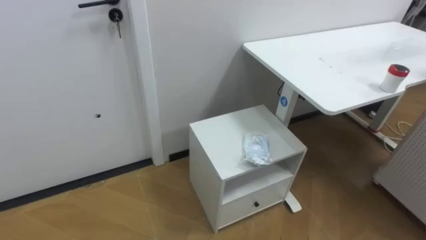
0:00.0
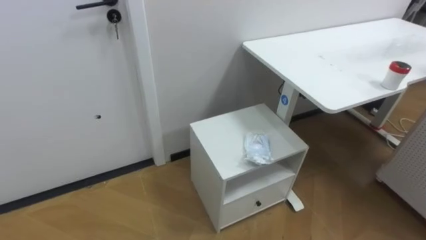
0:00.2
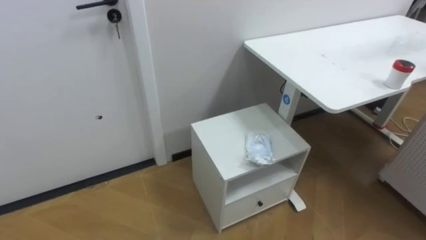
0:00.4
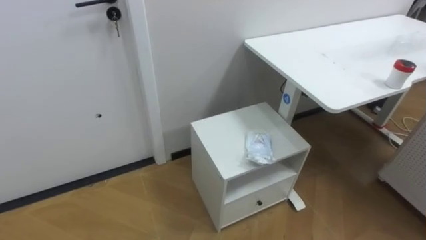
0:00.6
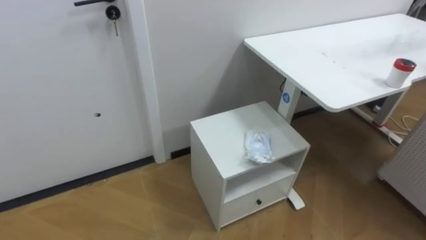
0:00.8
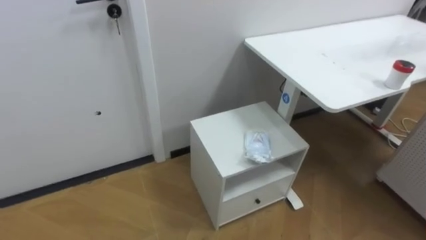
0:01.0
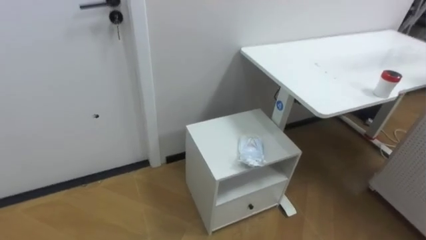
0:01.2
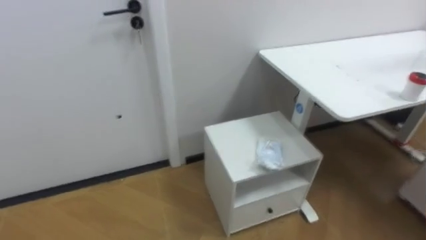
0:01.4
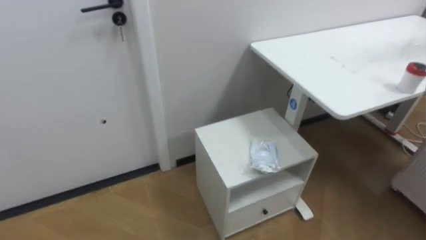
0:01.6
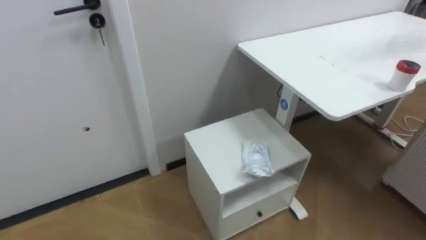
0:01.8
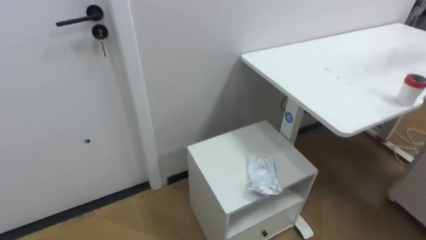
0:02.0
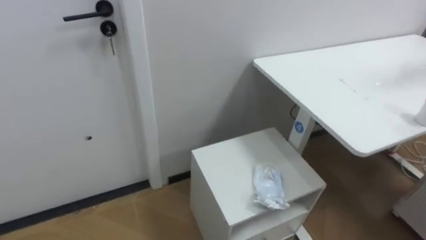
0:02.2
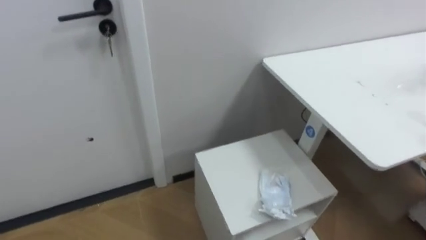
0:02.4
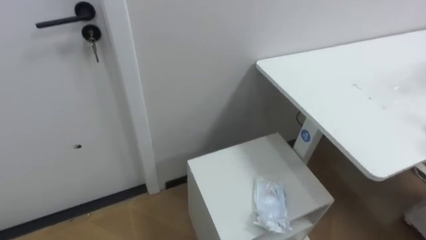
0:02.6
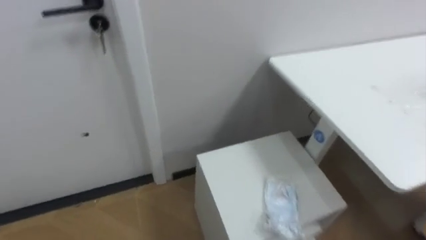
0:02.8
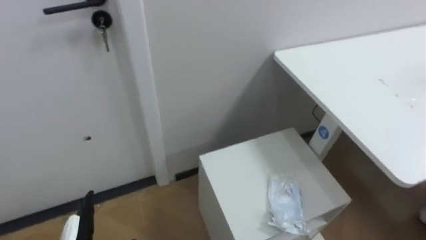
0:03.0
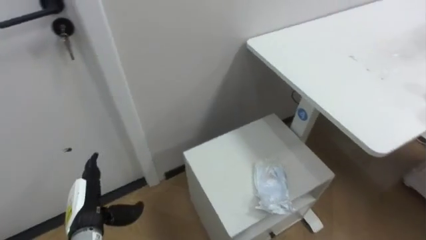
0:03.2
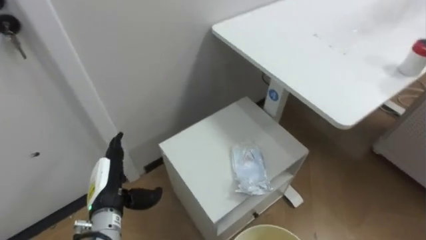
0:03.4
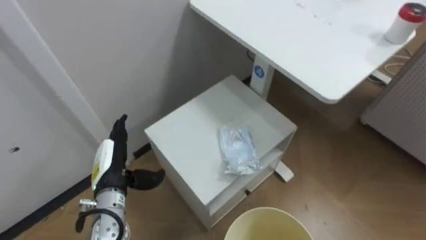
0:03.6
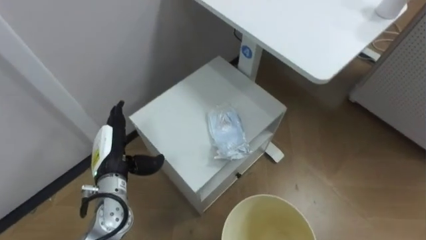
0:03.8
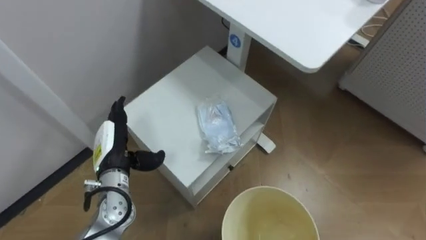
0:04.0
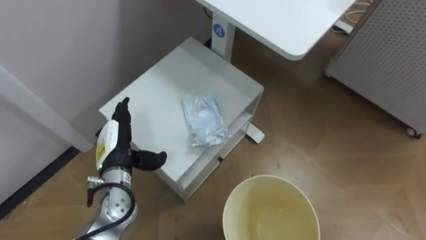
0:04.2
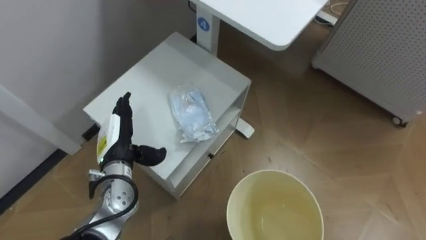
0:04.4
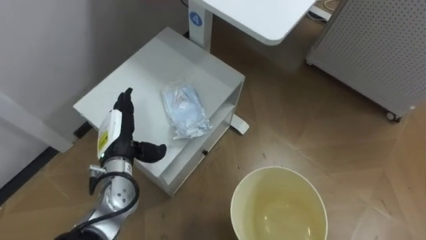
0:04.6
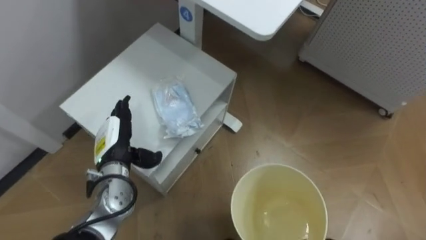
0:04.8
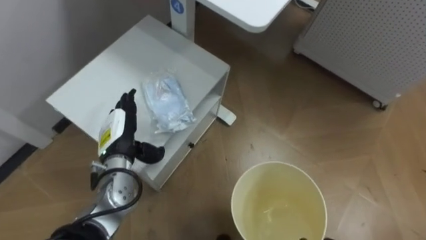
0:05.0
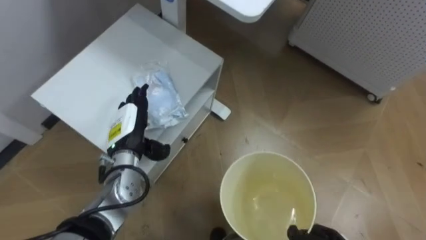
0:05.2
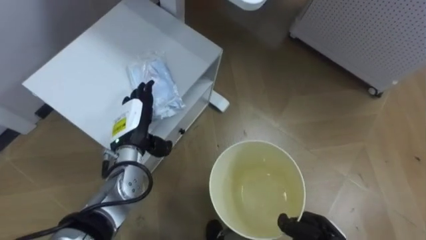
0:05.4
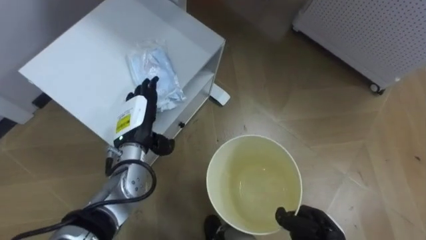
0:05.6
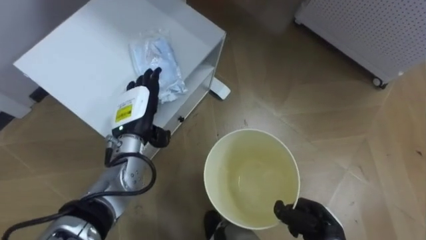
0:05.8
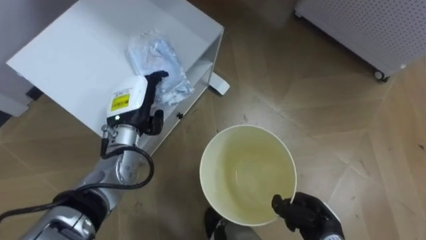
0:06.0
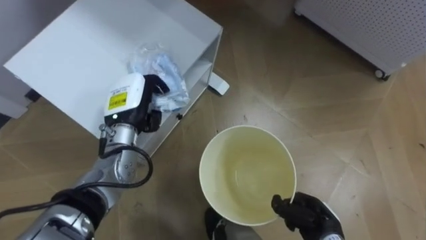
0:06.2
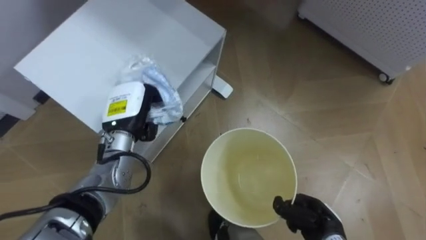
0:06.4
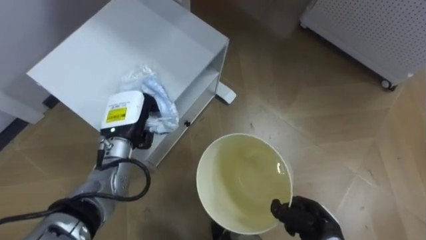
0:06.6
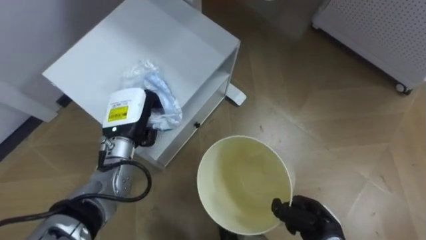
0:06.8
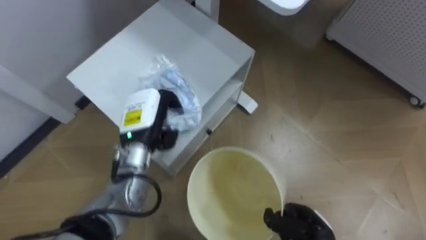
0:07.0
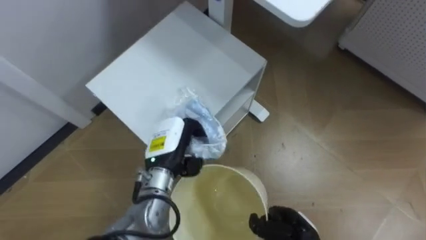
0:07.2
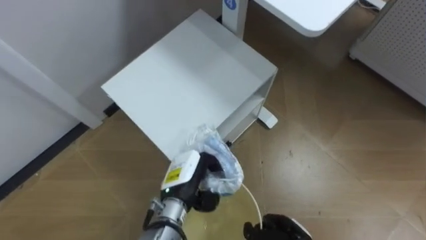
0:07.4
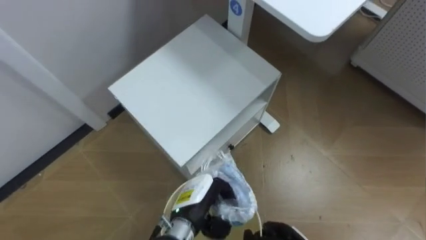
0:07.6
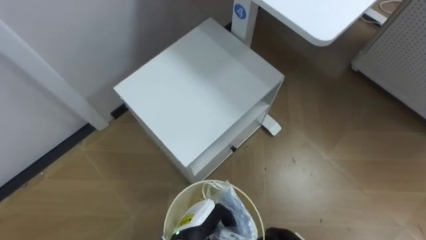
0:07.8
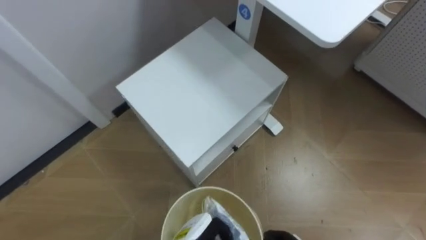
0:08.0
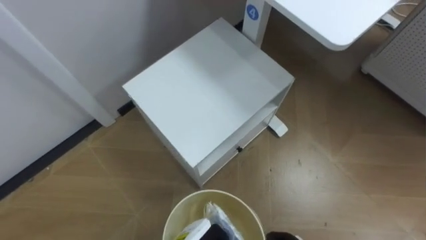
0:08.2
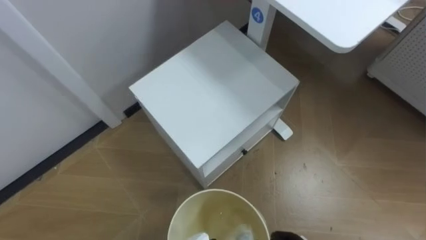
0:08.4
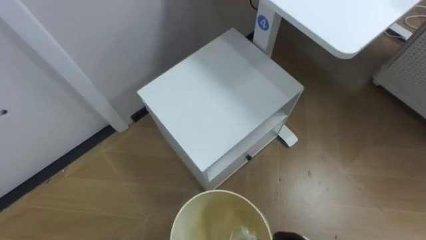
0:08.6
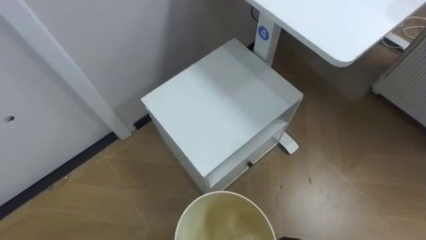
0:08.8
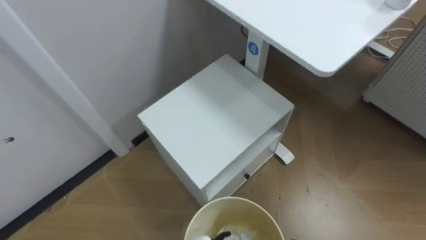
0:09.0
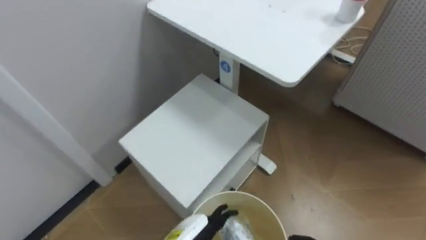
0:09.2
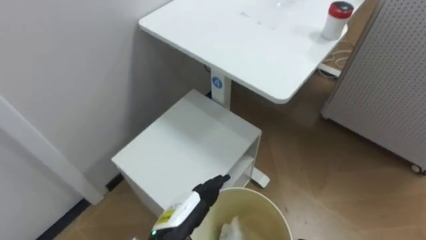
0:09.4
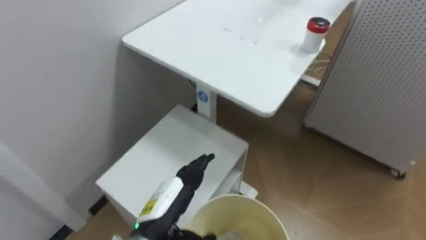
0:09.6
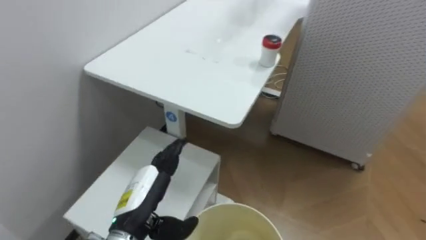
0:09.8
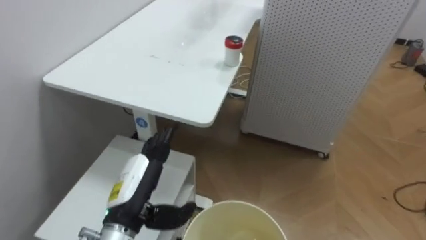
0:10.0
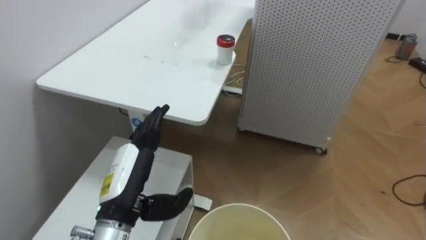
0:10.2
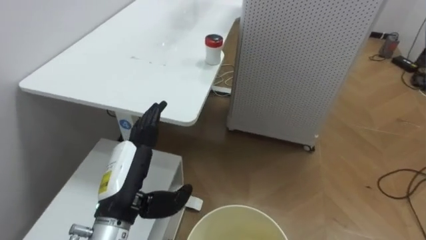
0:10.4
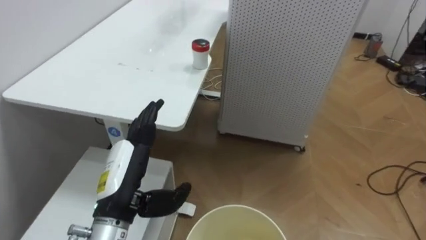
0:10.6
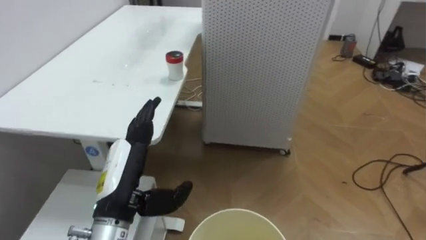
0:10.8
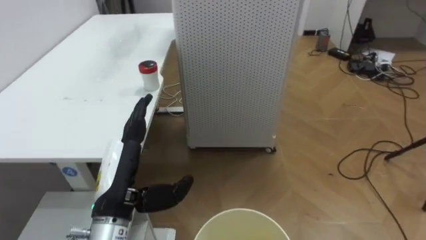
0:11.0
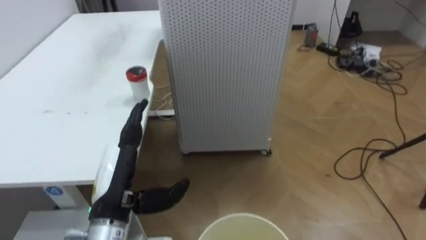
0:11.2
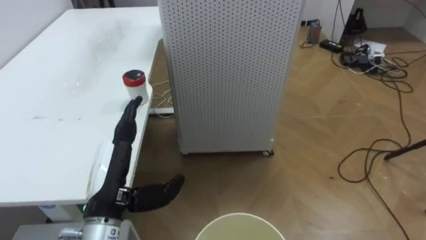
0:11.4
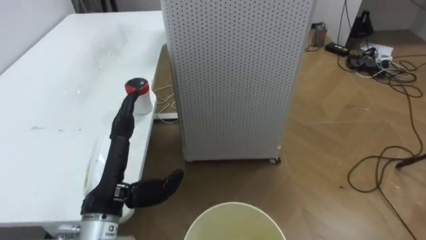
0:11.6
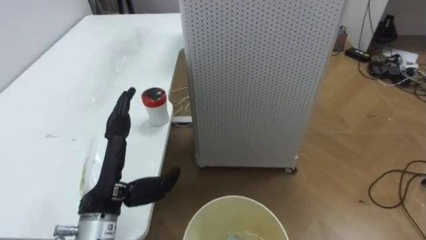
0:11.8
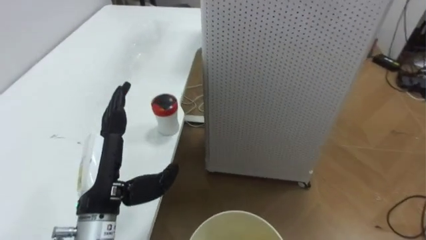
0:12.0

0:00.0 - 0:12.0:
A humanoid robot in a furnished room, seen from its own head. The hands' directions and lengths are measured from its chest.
Task of the whole recording: Pick up the light blue package, the candy box, and the dark blue package separately, and put them into the trash can held in your right hand.
0:04.4 - 0:06.0: The left hand heads upward, covering about 5 cm.
0:06.0 - 0:07.6: The left hand moves downward, to the right and backward, approximately 20 cm, and closes up.
0:09.0 - 0:10.4: The robot faces roughly 35 degrees further to its right.

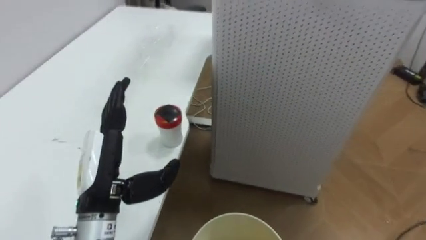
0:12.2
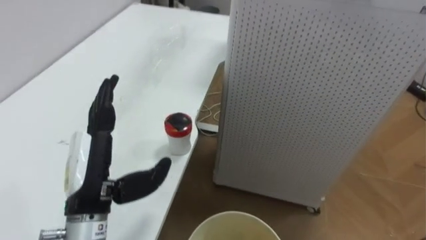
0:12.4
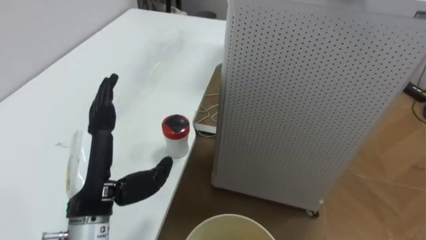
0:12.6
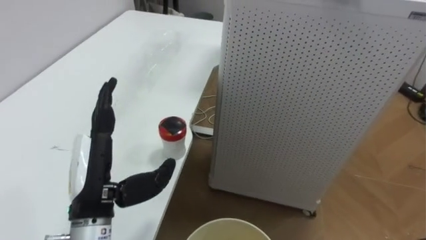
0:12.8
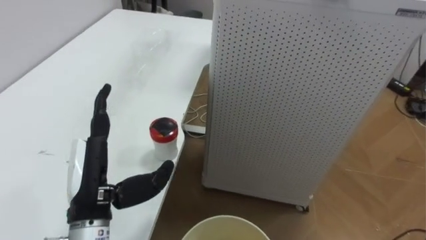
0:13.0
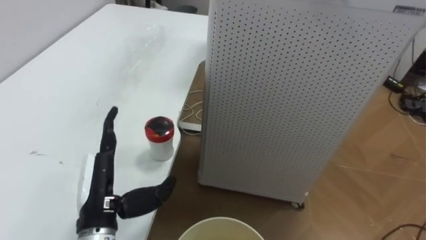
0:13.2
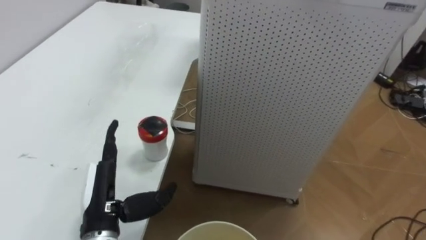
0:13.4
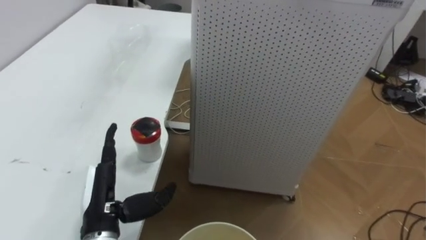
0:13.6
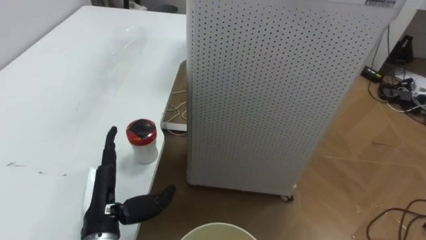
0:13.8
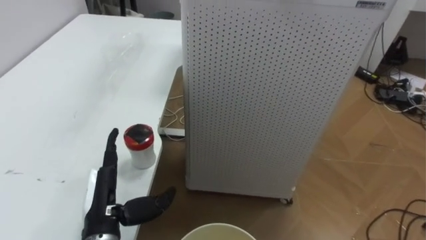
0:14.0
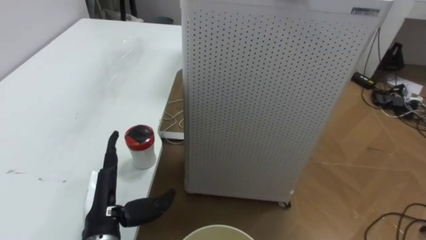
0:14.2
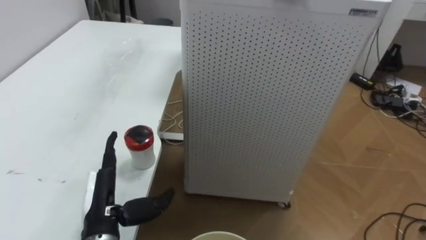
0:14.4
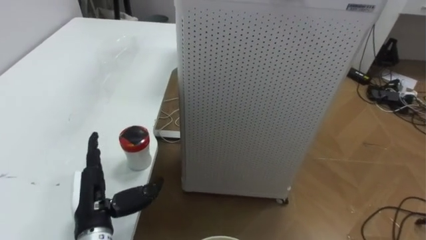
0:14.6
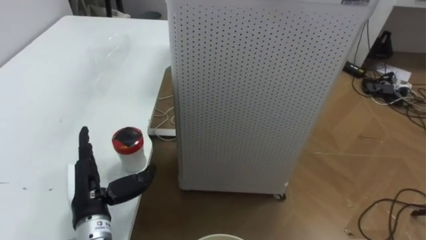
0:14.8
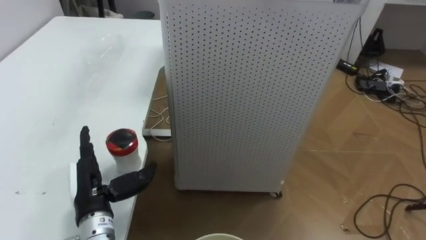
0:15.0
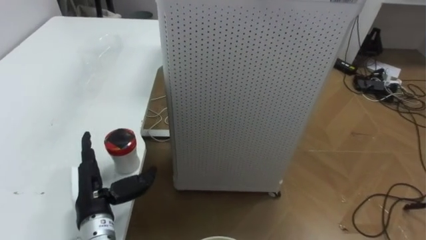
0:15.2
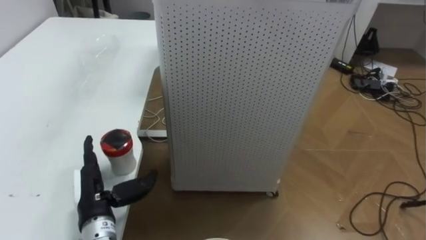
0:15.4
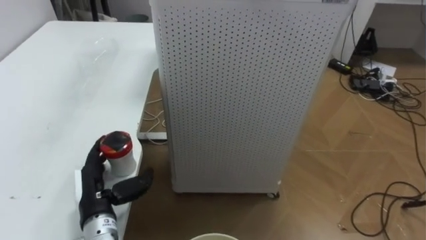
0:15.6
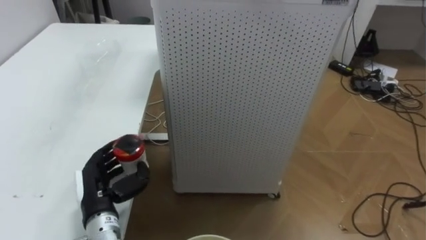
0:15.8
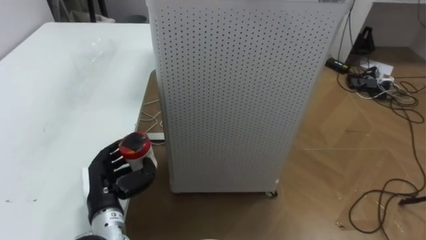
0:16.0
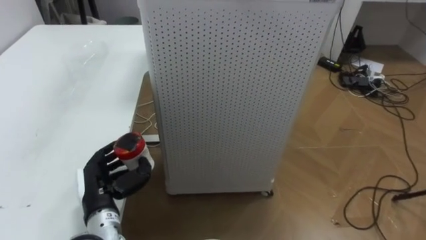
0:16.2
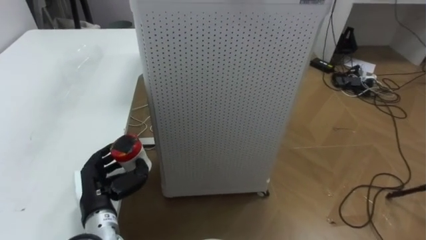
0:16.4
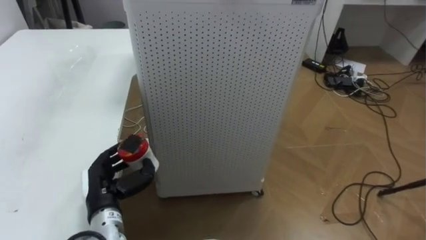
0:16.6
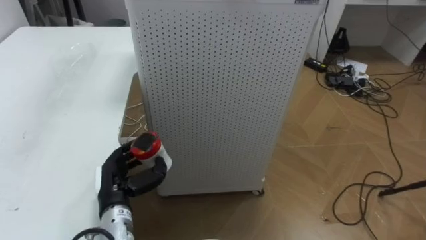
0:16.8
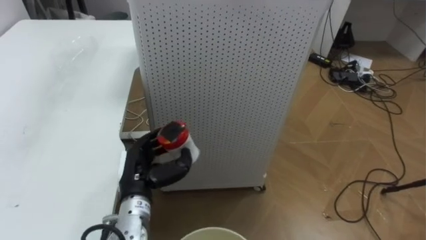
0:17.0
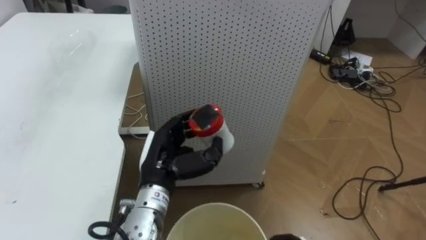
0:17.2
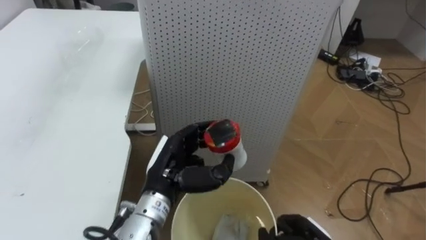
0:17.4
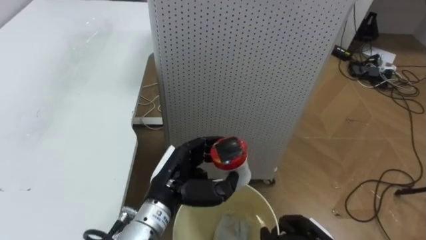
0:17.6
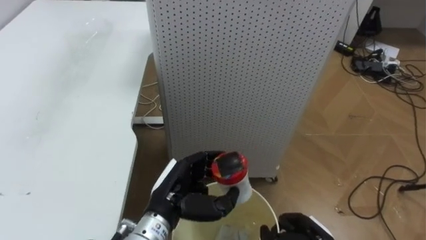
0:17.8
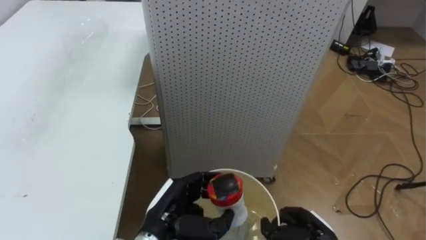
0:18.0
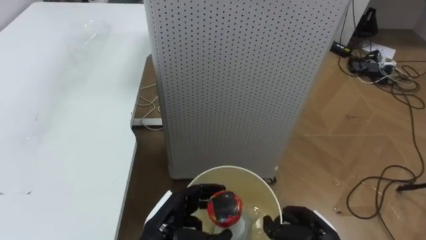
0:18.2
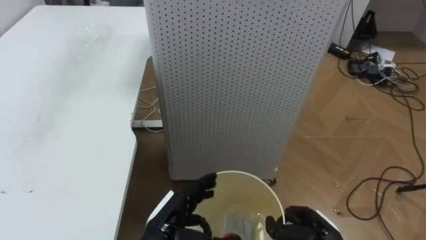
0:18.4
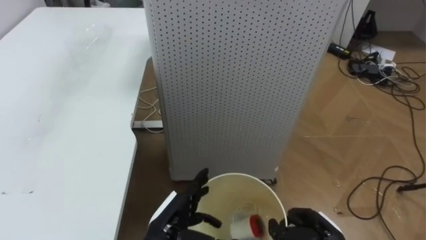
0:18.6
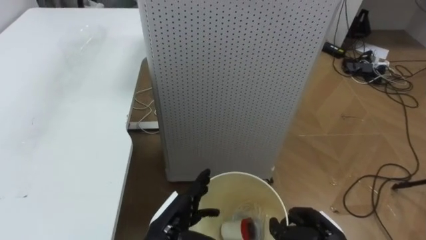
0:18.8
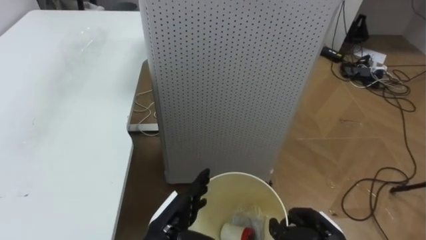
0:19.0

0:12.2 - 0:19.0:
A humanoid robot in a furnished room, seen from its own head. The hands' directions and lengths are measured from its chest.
Task of the whole recording: Pick up the light blue package, the candy box, and the dark blue package separately, and put them into the trash can held in your right hand.
0:12.2 - 0:13.6: The left hand goes approximately 10 cm downward.
0:15.0 - 0:16.2: The left hand closes up.
0:16.2 - 0:17.6: The left hand shifts some 15 cm to the right.
0:17.6 - 0:19.0: The left hand heads downward and backward, covering approximately 10 cm, and opens its fingers.
